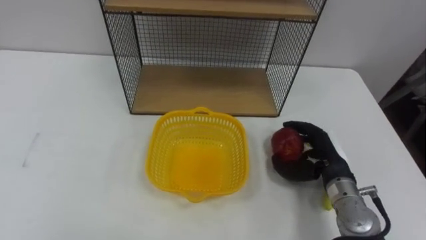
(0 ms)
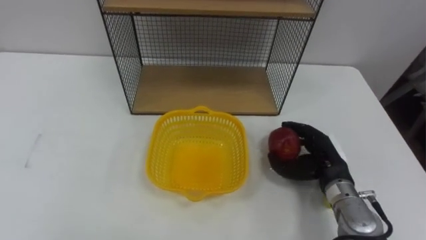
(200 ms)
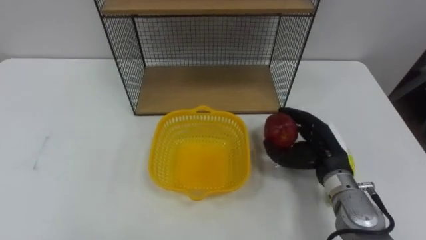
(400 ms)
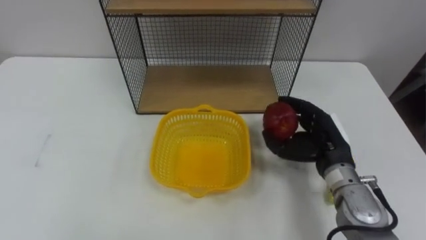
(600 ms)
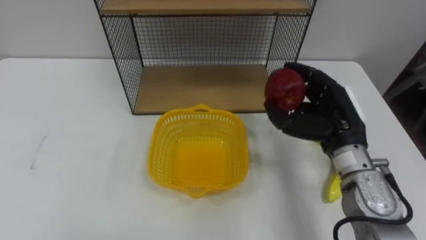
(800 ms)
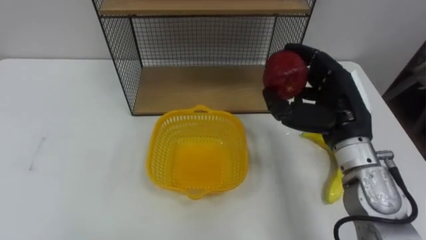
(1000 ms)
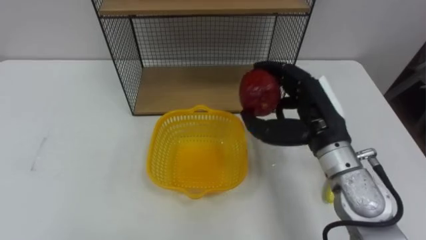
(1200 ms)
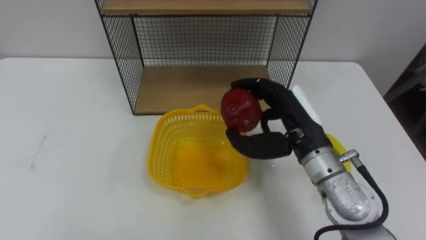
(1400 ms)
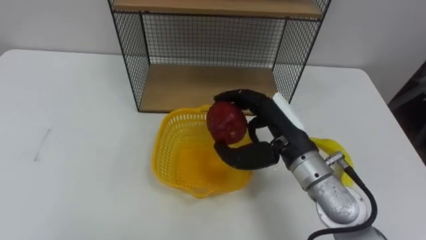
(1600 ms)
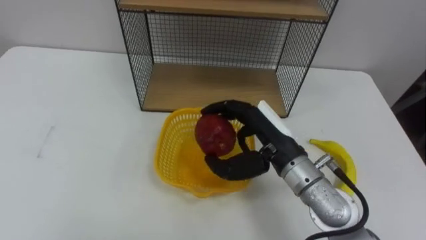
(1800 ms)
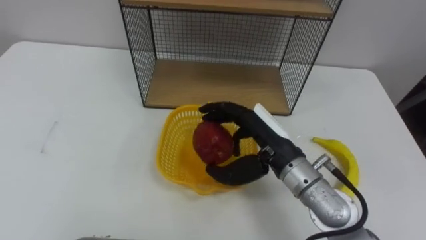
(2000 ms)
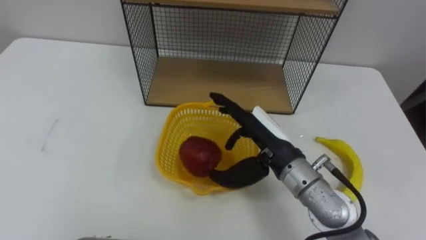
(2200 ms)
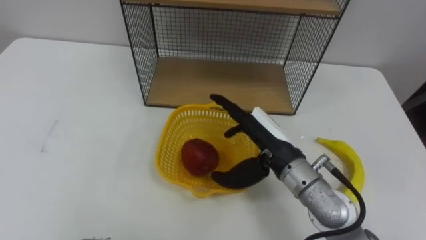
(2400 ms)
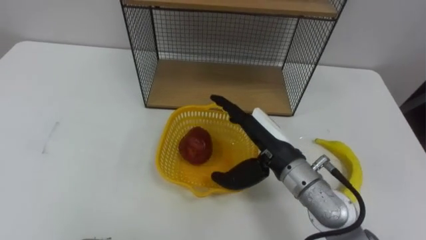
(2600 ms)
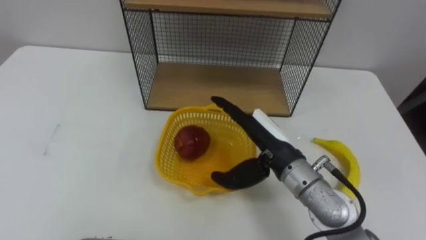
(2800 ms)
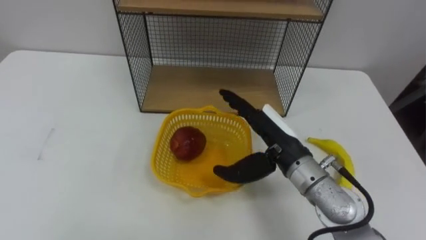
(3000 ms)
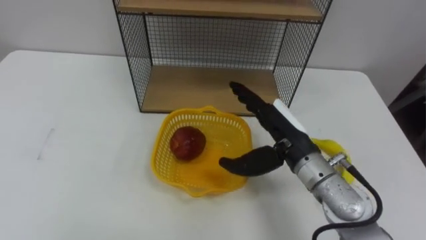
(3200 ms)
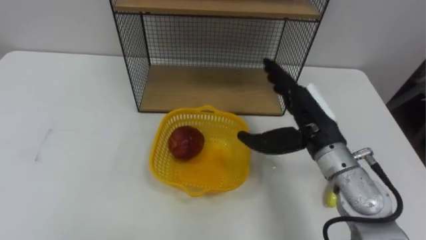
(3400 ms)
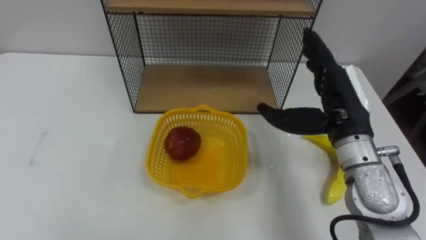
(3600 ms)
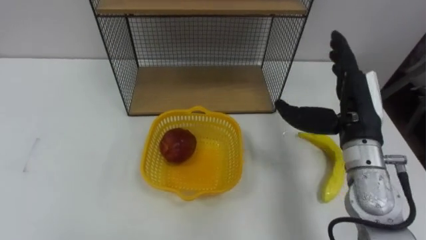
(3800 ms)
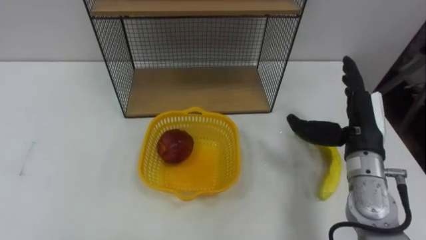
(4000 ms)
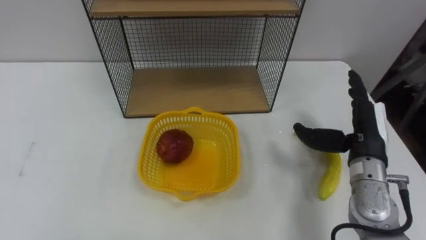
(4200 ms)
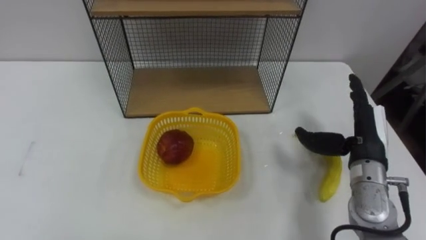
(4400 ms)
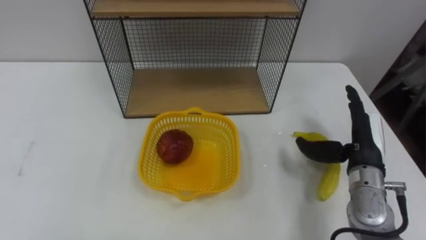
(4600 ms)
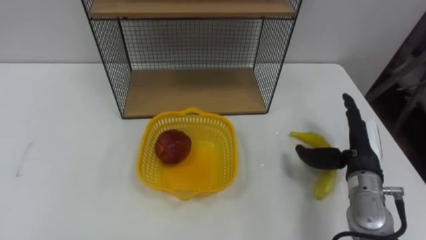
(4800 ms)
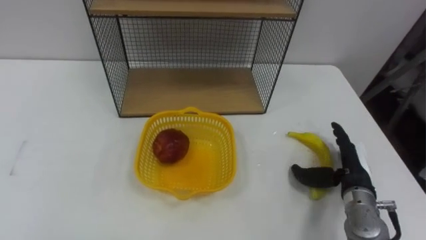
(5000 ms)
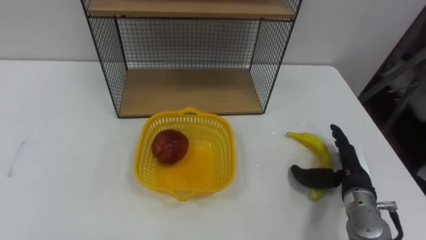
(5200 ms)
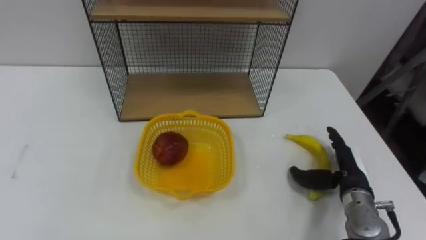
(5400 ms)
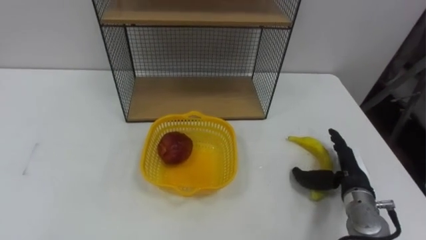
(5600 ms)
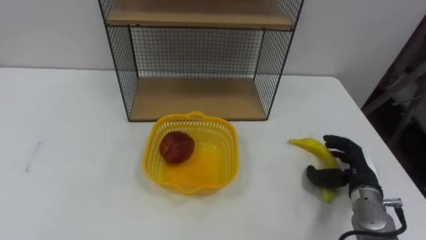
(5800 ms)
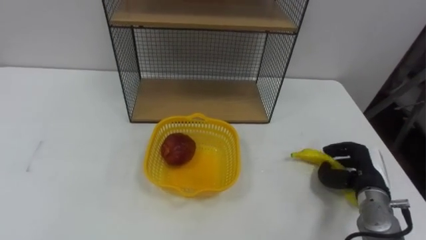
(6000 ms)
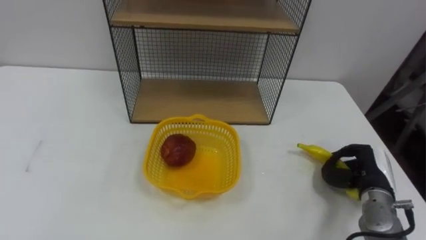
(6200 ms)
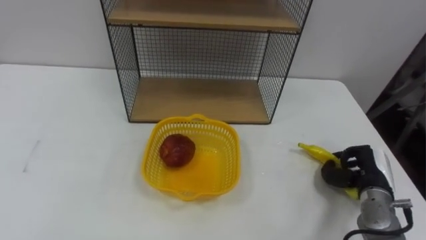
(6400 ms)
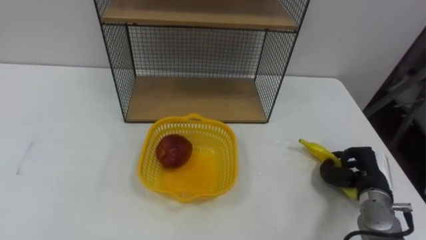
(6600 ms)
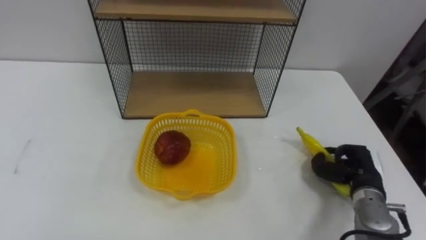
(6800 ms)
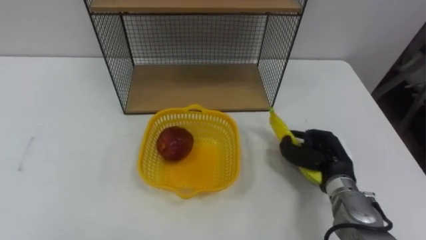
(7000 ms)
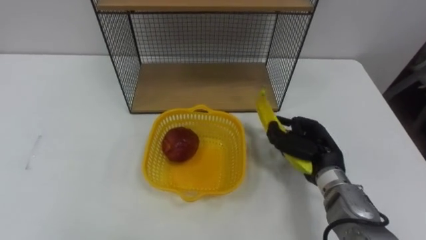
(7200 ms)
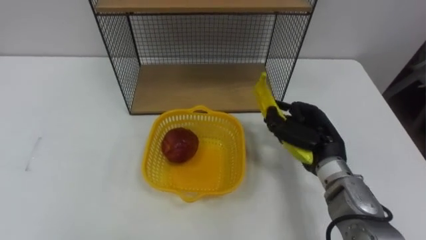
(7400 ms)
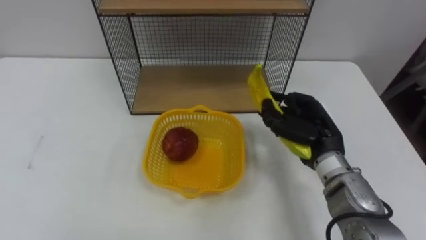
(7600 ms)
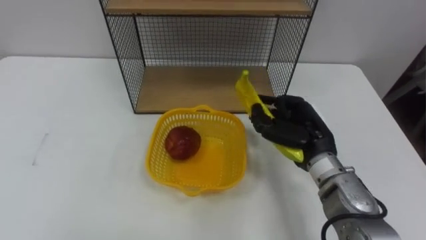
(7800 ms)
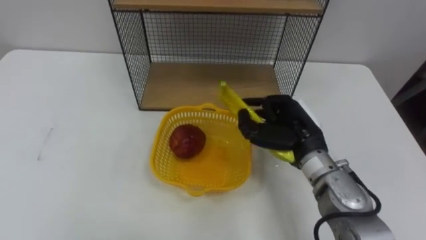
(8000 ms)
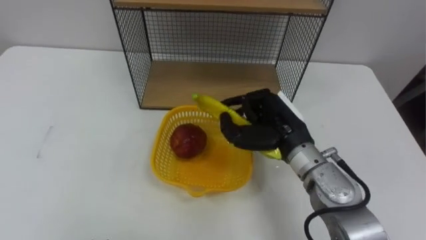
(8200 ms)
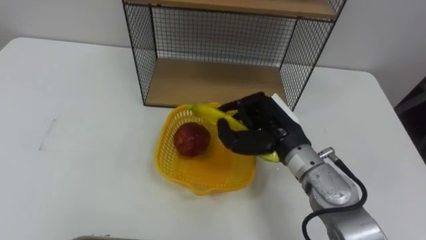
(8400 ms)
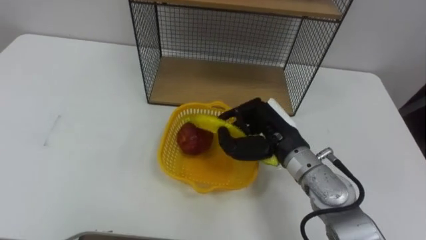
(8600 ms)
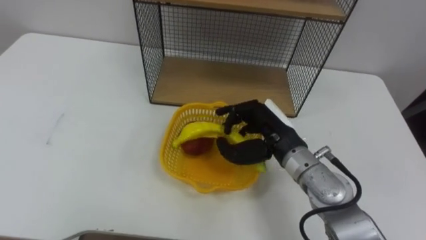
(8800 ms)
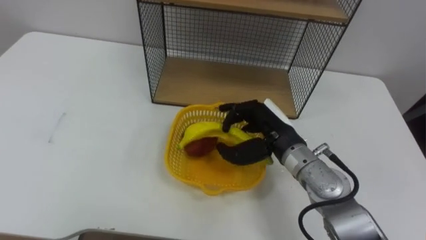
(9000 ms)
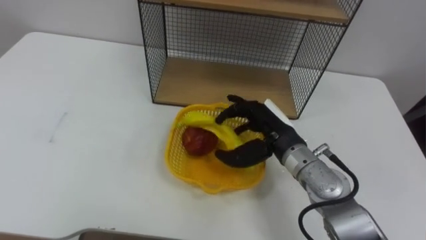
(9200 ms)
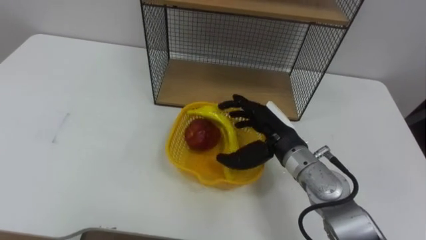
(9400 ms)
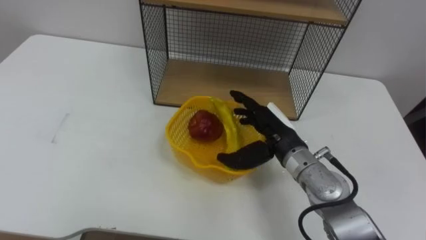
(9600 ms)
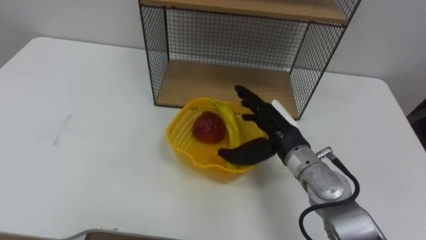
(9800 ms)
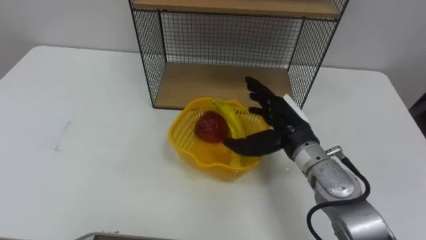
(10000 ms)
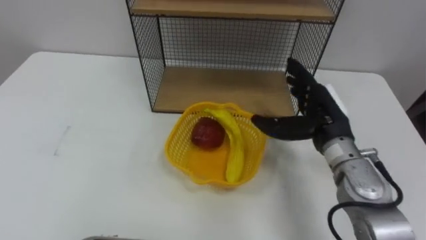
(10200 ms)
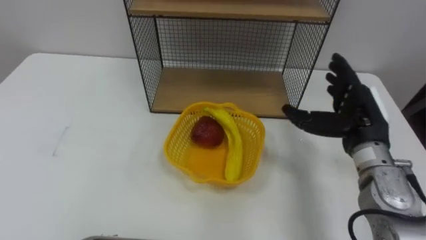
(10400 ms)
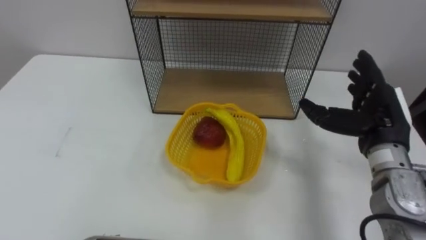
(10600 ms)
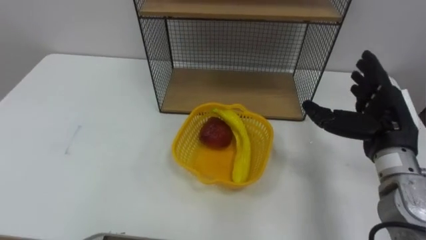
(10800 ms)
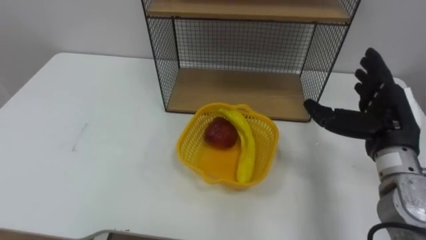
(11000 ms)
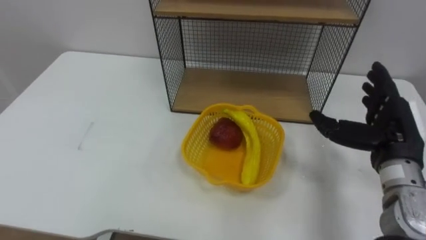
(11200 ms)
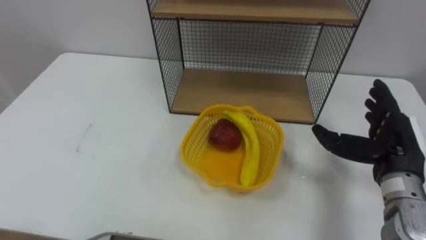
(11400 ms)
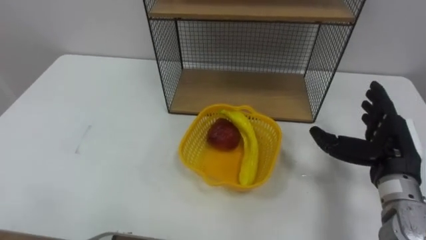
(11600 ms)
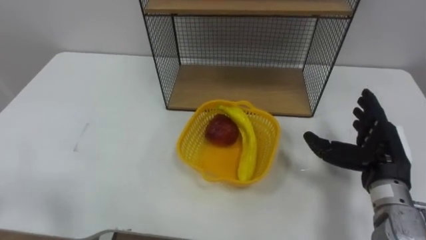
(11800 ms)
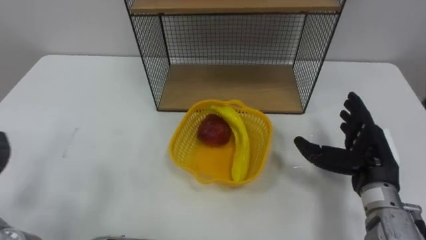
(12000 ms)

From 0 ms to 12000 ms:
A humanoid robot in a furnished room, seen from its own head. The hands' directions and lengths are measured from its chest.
Task of the whole recording: Put the fruit on the table into the basket, then place the basket on the shelf.
From 0 ms to 1600 ms: The right hand shifts approximately 15 cm upward and to the left.
From 1600 ms to 3000 ms: The right hand opens.
From 3000 ms to 4400 ms: The right hand is displaced to the right by roughly 15 cm.
From 4400 ms to 6000 ms: The right hand moves downward, approximately 10 cm, and closes.
From 6000 ms to 7600 ms: The right hand travels to the left and upward by roughly 15 cm.
From 7600 ms to 9000 ms: The right hand travels to the left by about 5 cm.
From 9000 ms to 10400 ms: The right hand goes roughly 15 cm to the right, and opens its fingers.
From 10400 ms to 12000 ms: The right hand goes about 5 cm backward.

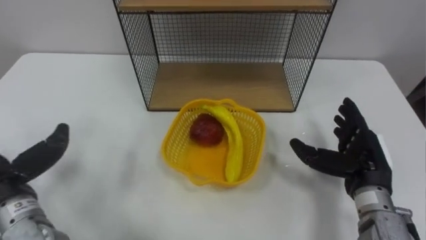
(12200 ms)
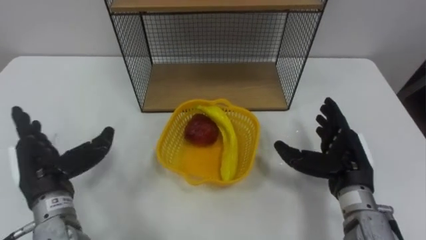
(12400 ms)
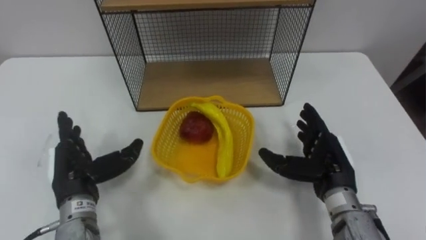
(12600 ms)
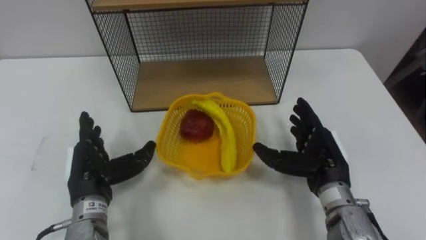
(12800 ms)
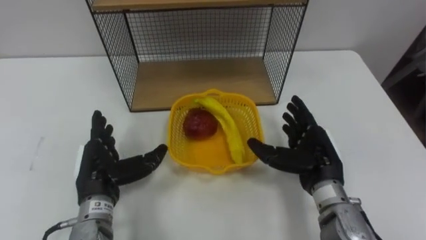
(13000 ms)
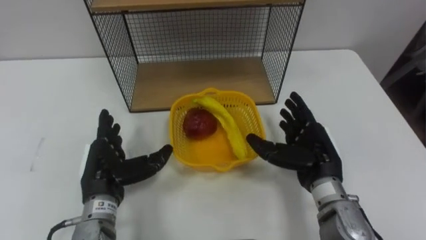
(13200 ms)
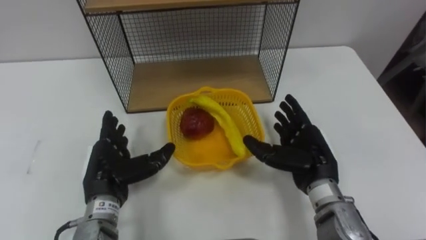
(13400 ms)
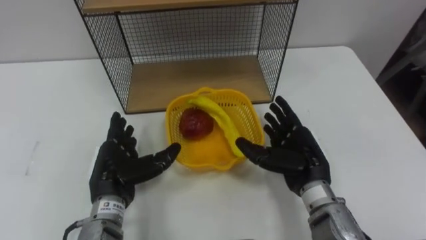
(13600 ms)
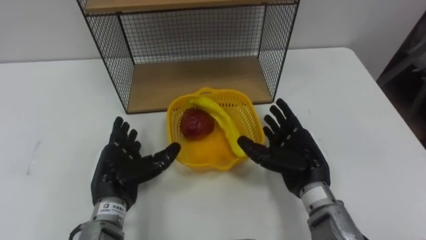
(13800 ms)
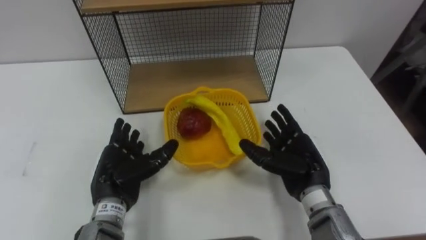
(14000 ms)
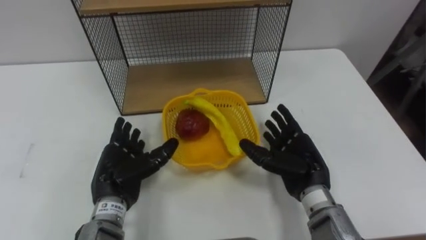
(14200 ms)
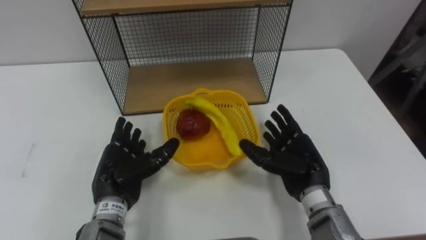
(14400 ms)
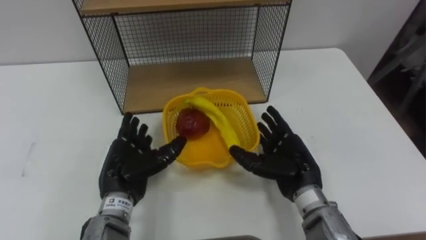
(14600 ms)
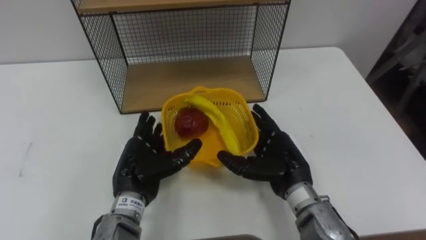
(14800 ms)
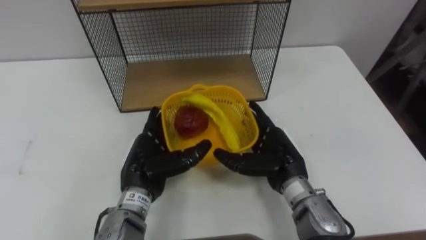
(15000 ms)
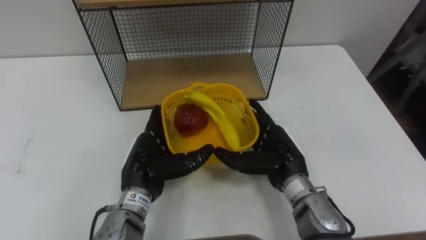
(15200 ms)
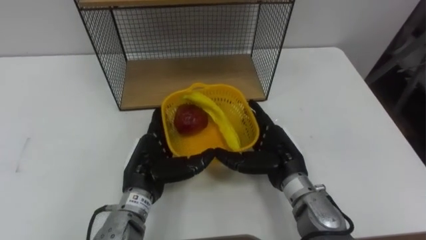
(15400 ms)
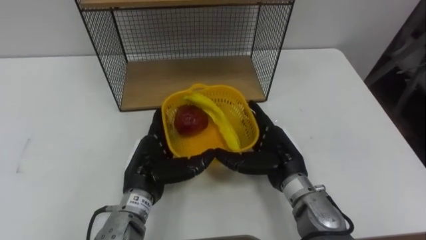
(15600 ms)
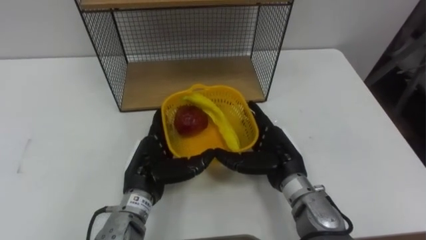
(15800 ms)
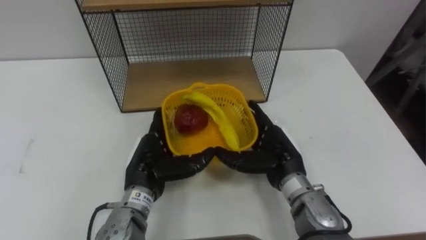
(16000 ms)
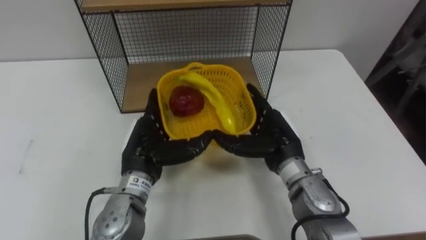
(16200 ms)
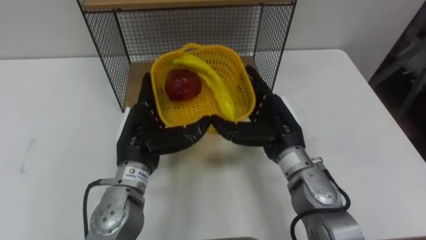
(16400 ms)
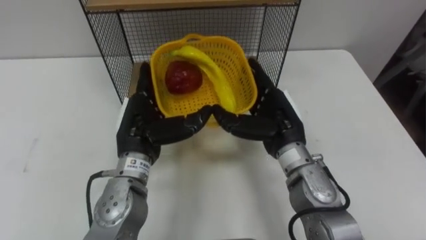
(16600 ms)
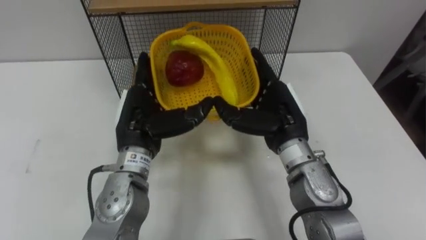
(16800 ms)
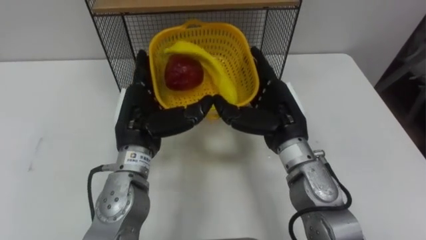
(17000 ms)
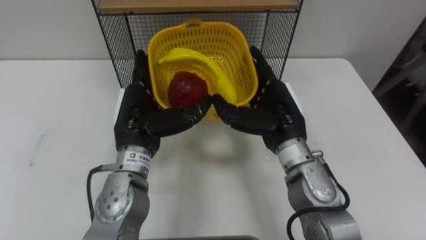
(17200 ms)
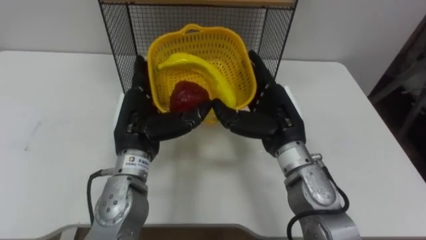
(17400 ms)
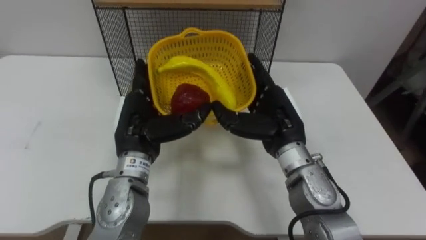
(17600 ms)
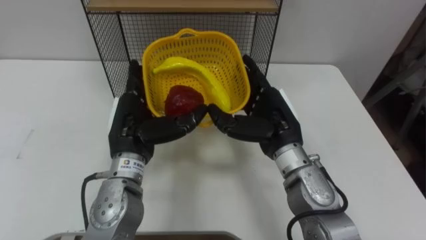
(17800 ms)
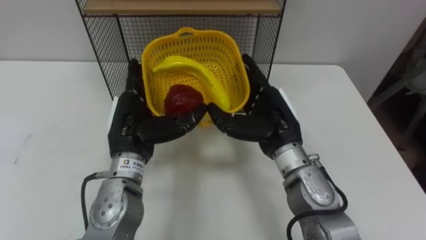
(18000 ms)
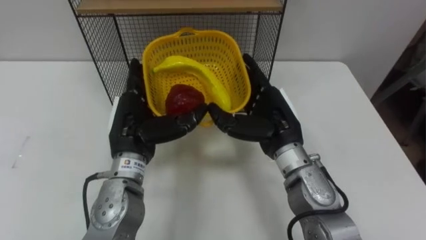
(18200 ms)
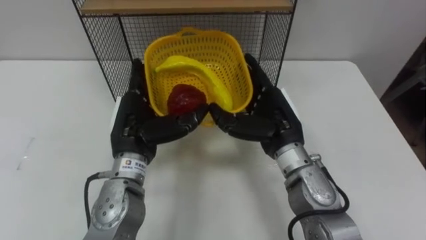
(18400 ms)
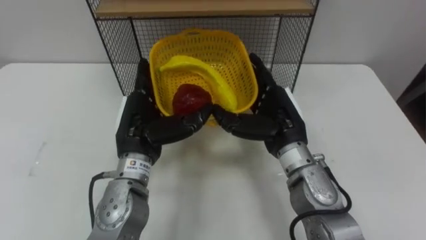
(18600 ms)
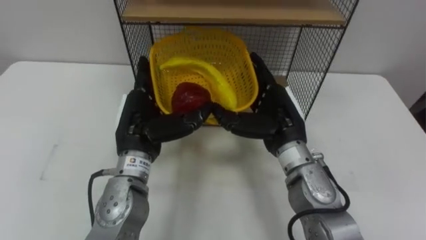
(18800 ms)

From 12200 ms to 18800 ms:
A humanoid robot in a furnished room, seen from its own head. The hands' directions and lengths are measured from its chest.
Task of the whole recording: Put the fruit on the table into the basket, then place the basket on the shelf.
From 12200 ms to 13800 ms: The left hand heads to the right and downward, covering approximately 15 cm, while the right hand is displaced to the left by approximately 10 cm.
From 13800 ms to 15400 ms: The left hand heads to the right, covering some 5 cm.
From 15400 ms to 17200 ms: Both hands travel together upward, some 10 cm.
